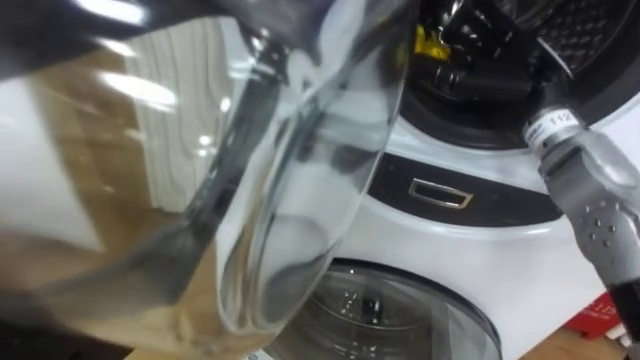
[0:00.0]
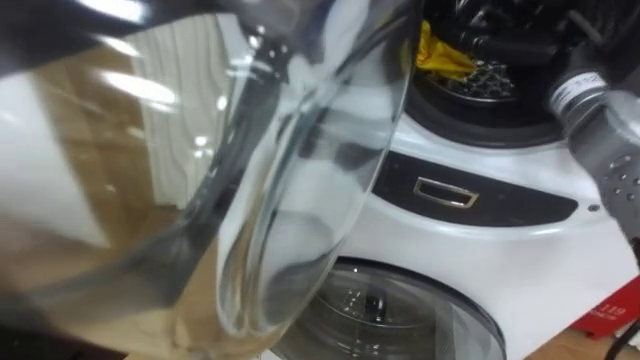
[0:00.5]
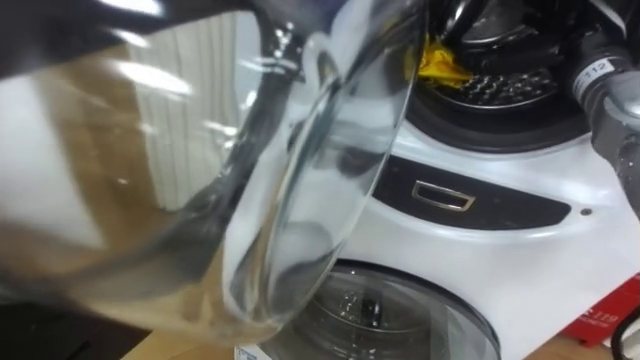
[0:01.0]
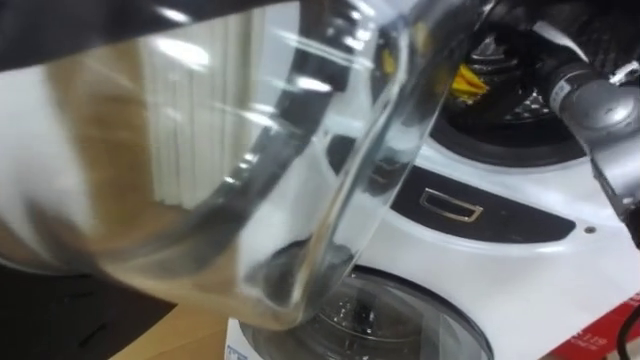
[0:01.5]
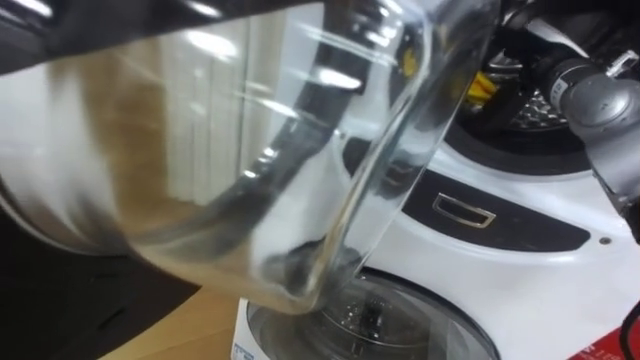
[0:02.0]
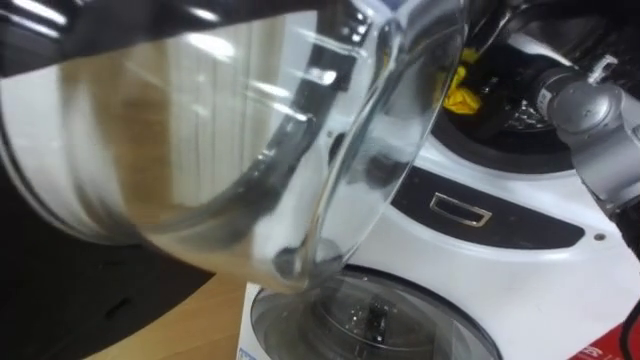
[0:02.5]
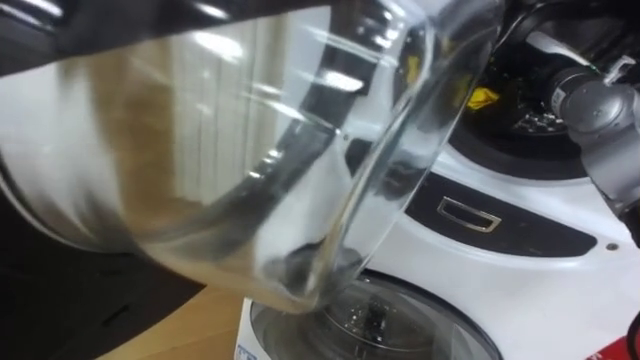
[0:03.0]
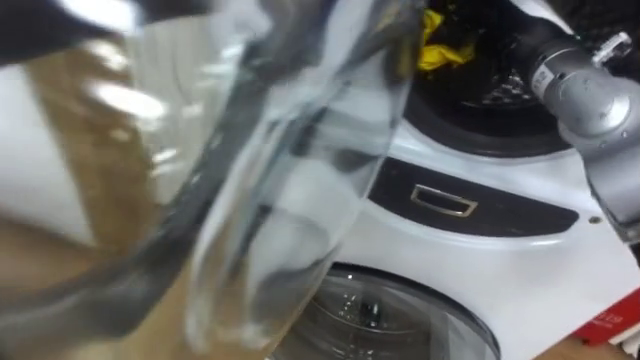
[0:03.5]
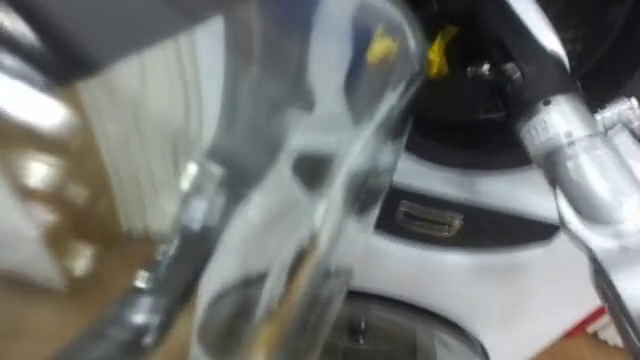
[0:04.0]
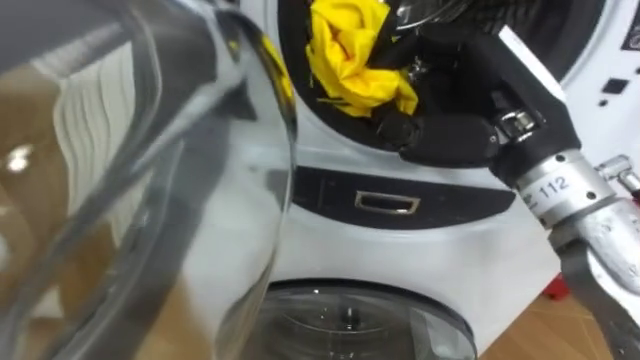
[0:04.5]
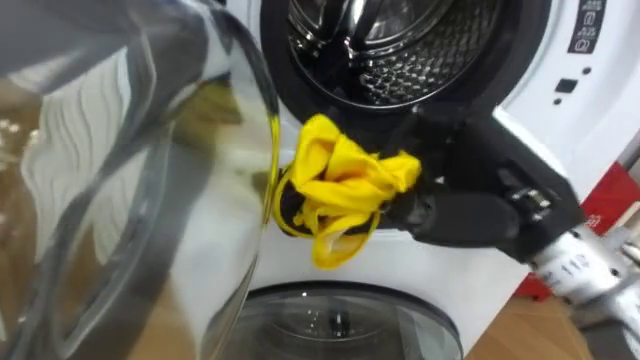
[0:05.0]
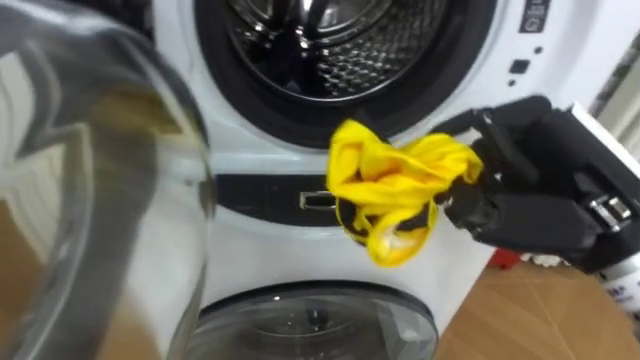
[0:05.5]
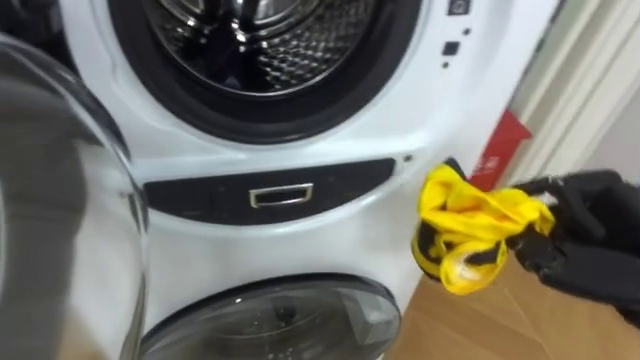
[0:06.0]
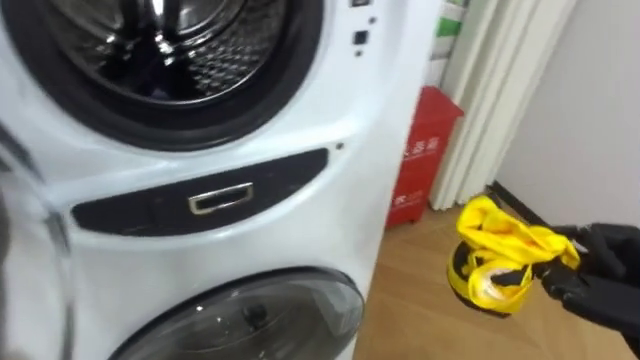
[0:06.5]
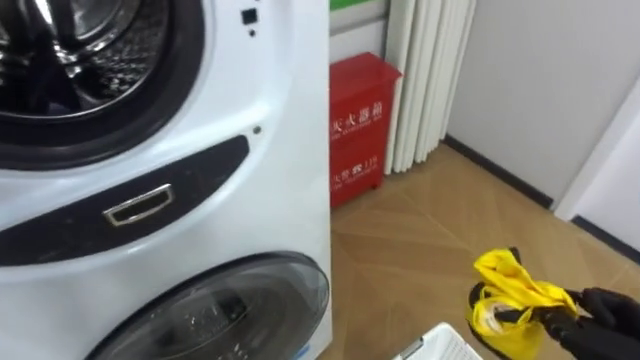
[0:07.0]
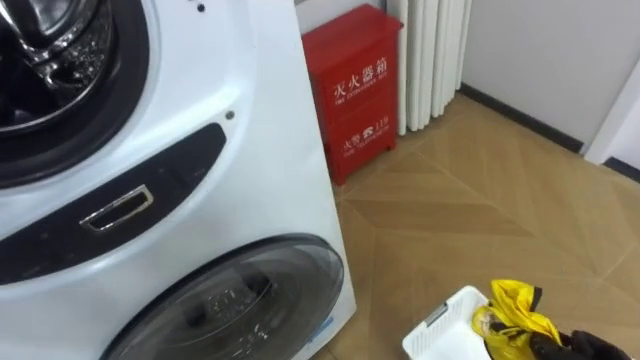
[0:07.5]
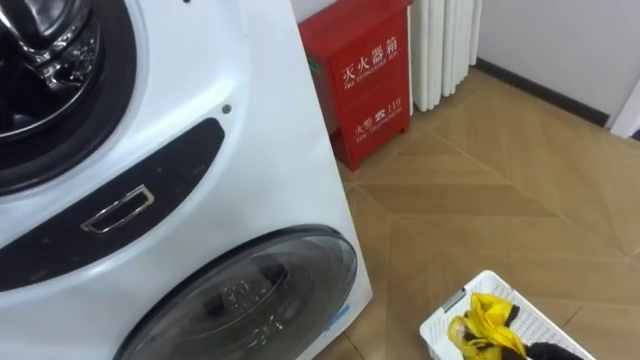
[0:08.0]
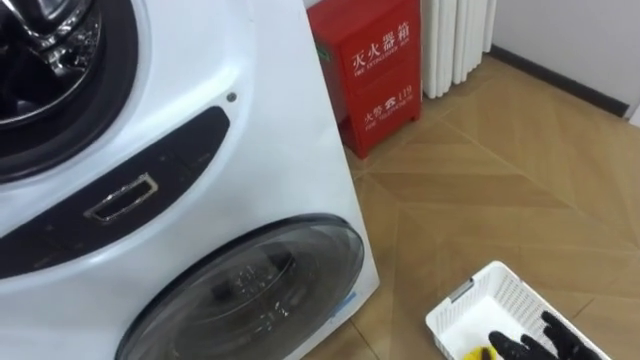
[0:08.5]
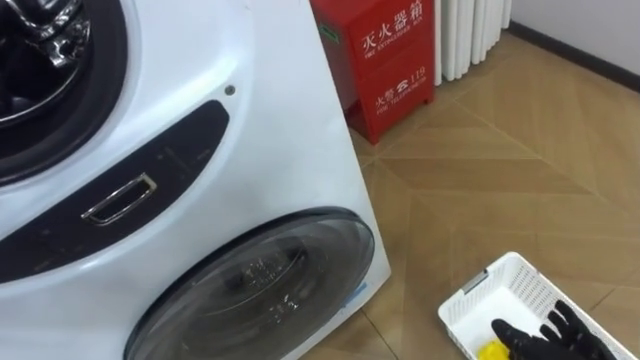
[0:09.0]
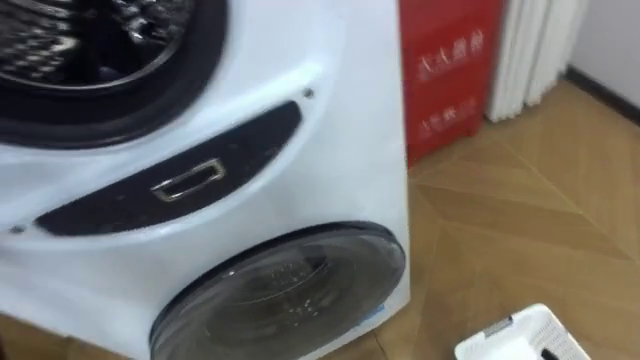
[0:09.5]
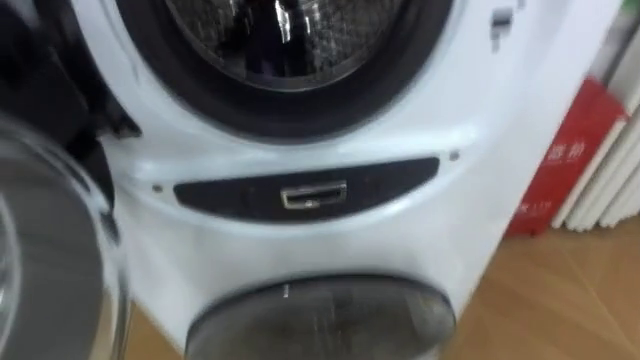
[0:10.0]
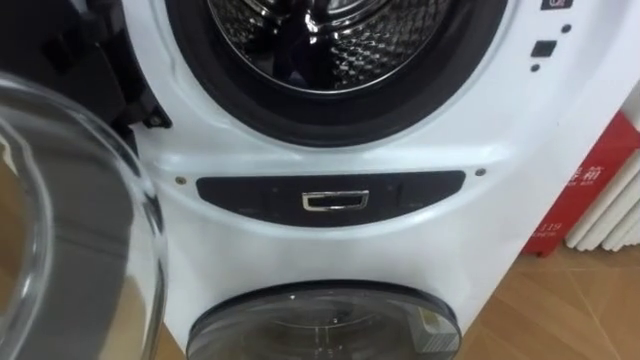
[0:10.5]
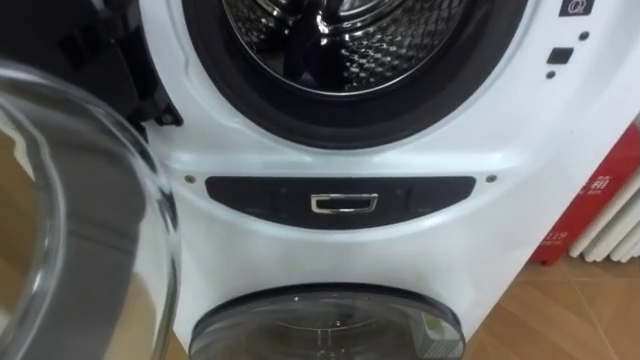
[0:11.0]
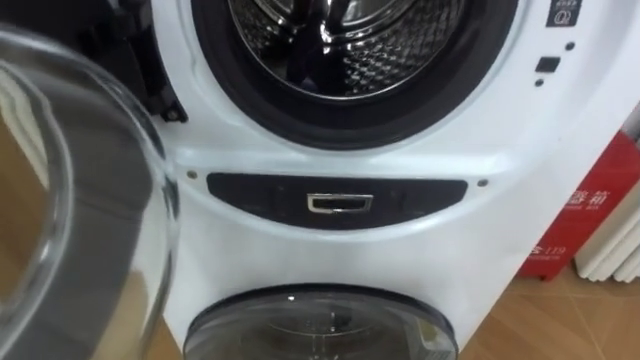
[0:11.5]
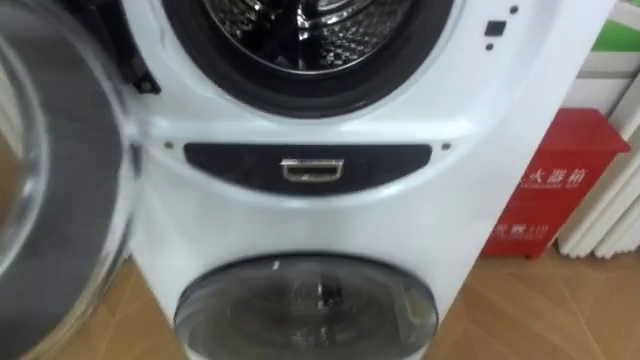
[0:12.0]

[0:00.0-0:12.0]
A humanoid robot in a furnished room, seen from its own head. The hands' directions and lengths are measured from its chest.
Task of the whole recording: Open the washing machine door, take out the yellow clothes, place them in the box on the right, and close the washing machine door.
0:00.0 to 0:02.0: The right hand ends up some 5 cm from where it was.
0:02.0 to 0:04.0: The right hand goes approximately 15 cm backward, to the left and upward, and closes its fingers.
0:04.0 to 0:06.0: The right hand heads backward, downward and to the right, covering some 20 cm.
0:08.0 to 0:10.0: The robot turns to its left by about 20 degrees.

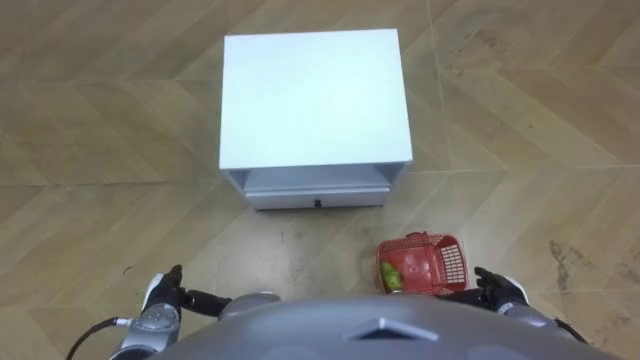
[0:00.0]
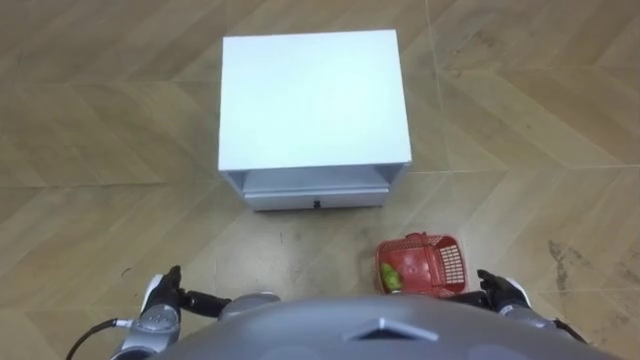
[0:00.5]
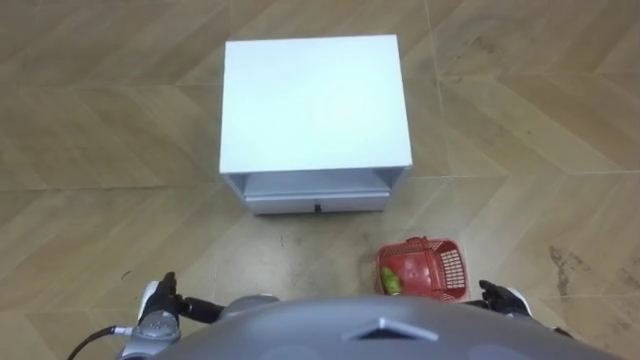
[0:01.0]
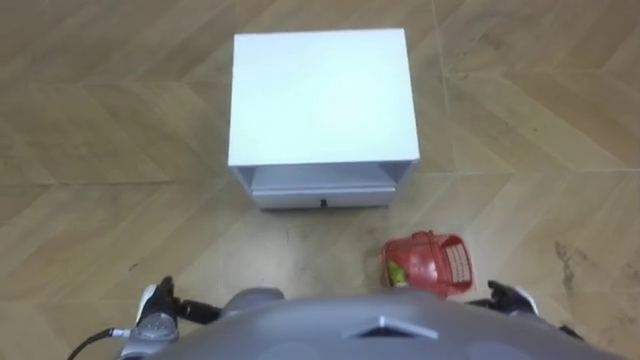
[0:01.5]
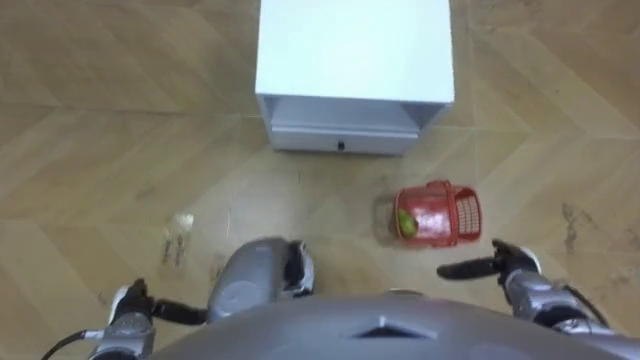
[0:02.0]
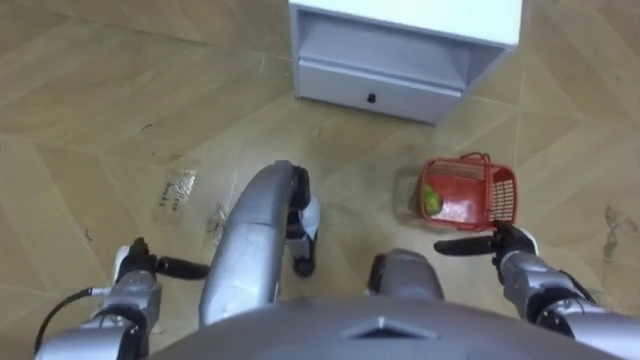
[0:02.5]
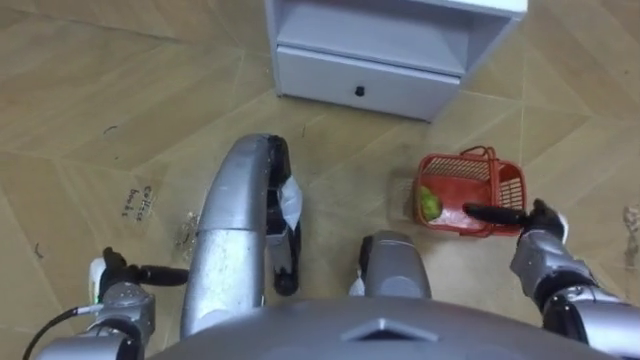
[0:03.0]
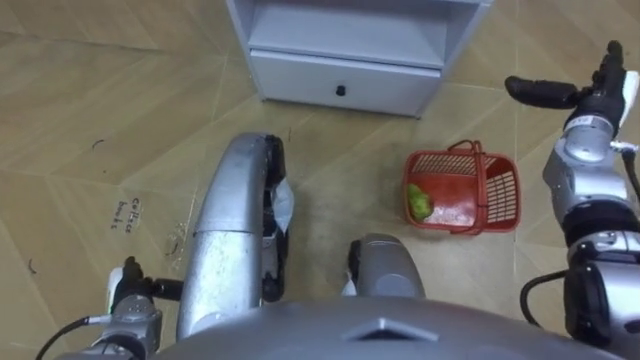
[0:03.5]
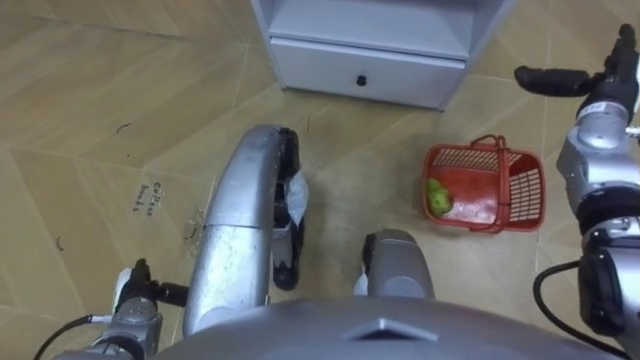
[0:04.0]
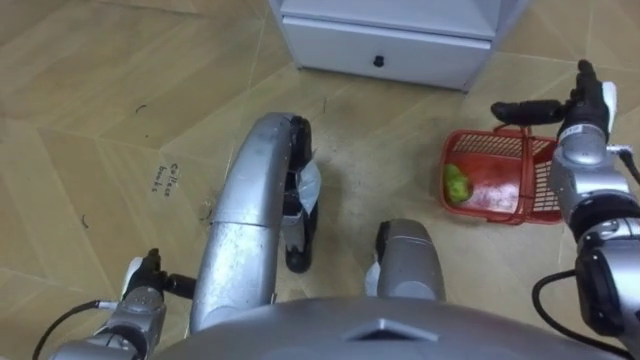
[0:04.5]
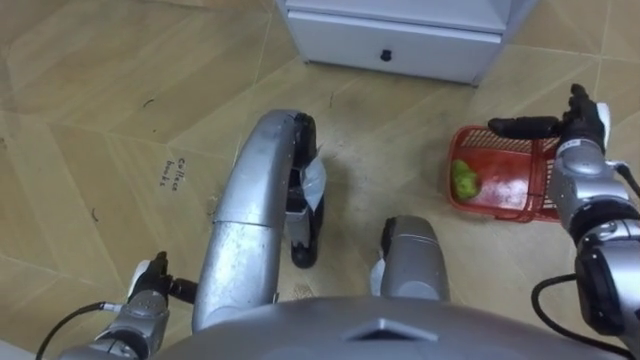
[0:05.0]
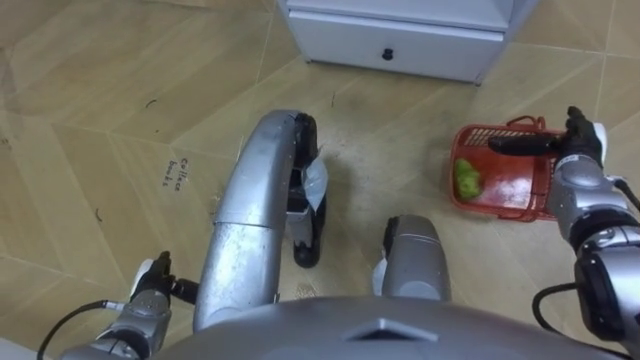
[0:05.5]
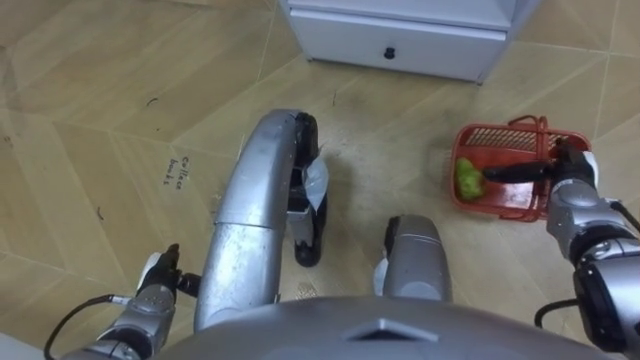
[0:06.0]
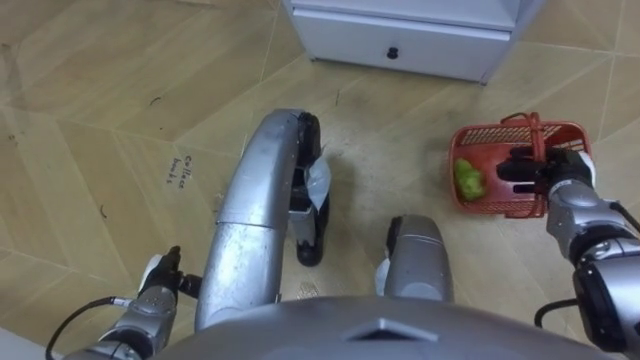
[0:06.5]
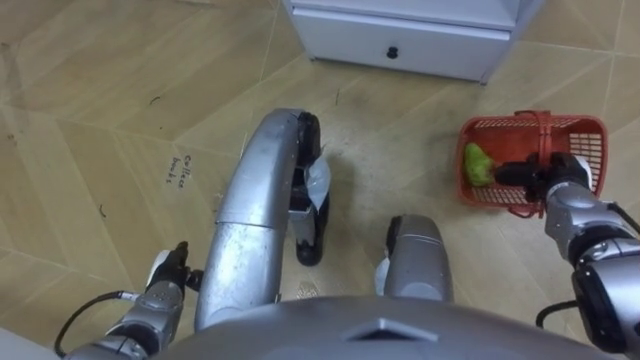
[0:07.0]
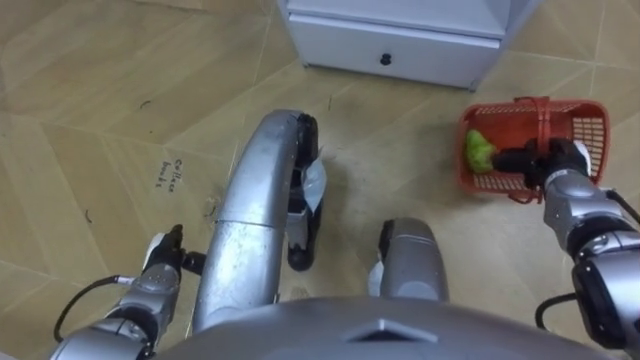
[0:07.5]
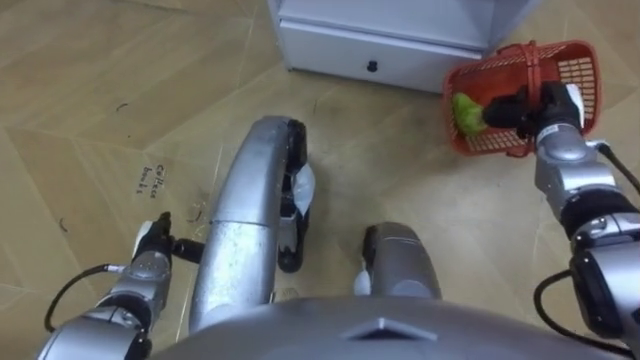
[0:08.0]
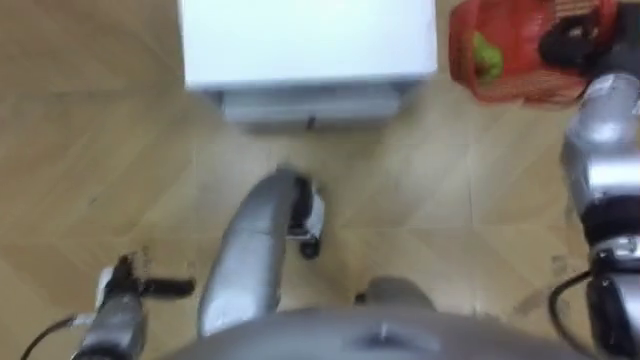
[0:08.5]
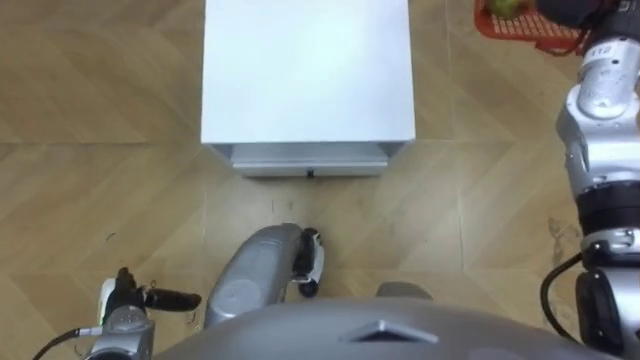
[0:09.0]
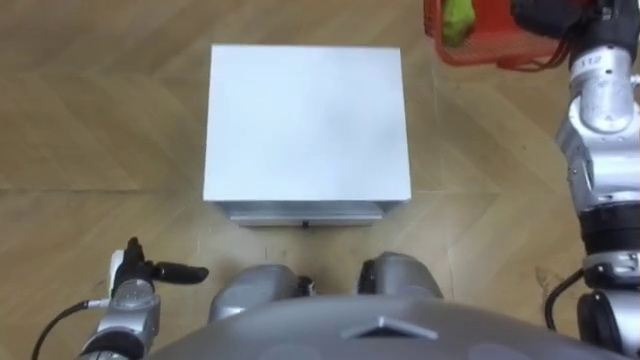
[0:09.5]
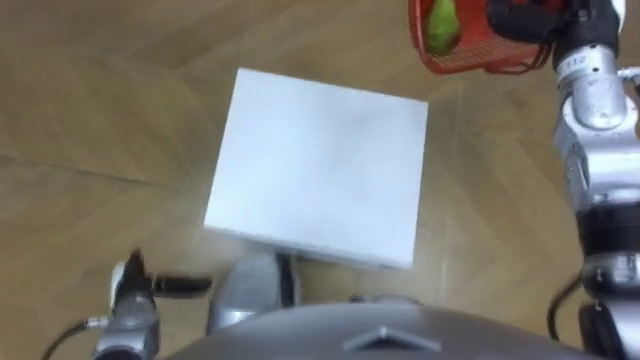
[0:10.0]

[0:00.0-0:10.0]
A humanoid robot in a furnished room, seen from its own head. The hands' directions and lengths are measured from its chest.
Task of the whole recording: Pick up the fruit basket from the floor and place it on the cabinet.
0:02.0 to 0:04.0: The right hand shifts approximately 30 cm forward and upward.
0:04.0 to 0:06.0: The right hand moves downward and backward, some 15 cm.
0:06.0 to 0:08.0: The hands both shift forward by roughly 5 cm. The right hand closes its fingers.
0:08.0 to 0:10.0: The right hand travels upward by approximately 15 cm, while the left hand shifts roughly 5 cm backward.
